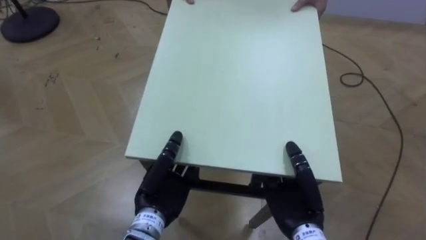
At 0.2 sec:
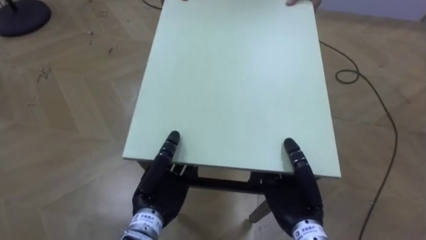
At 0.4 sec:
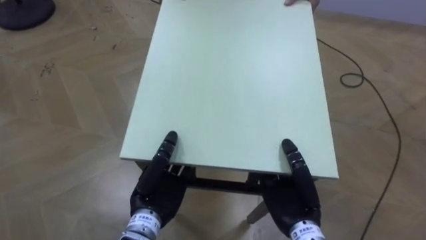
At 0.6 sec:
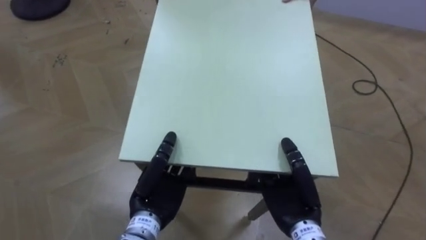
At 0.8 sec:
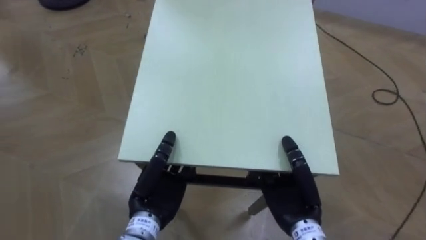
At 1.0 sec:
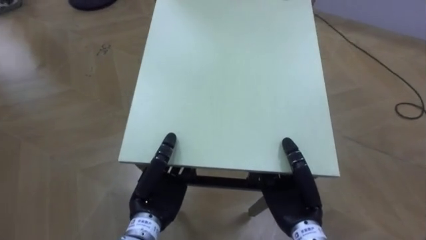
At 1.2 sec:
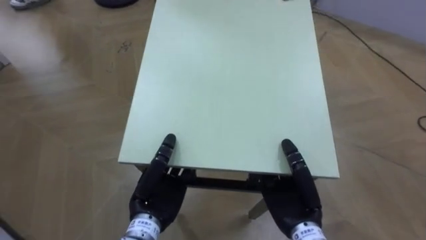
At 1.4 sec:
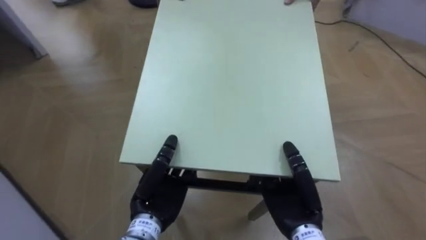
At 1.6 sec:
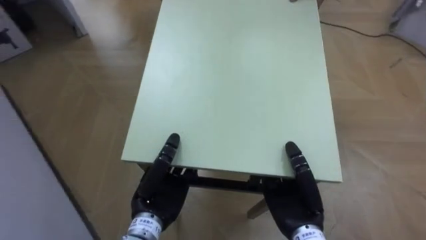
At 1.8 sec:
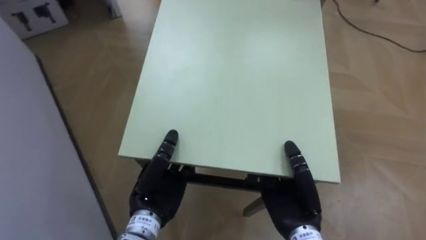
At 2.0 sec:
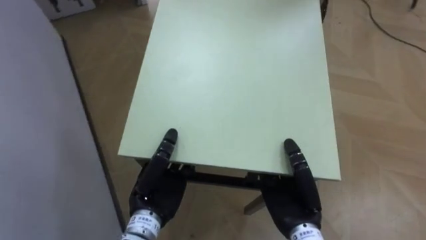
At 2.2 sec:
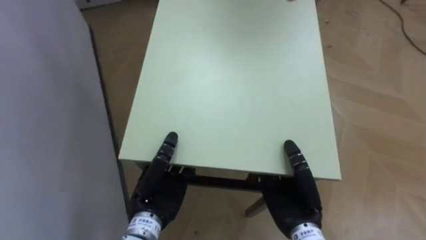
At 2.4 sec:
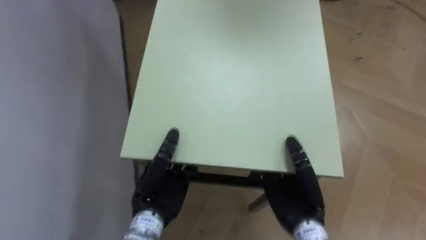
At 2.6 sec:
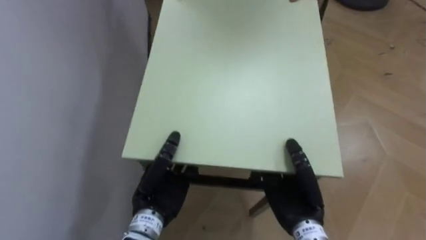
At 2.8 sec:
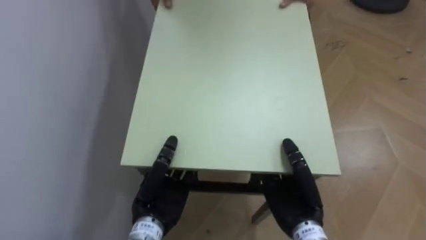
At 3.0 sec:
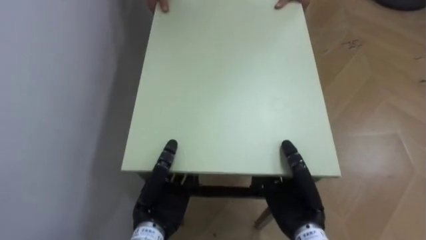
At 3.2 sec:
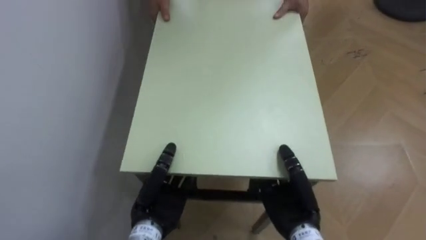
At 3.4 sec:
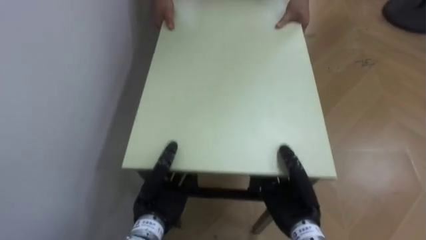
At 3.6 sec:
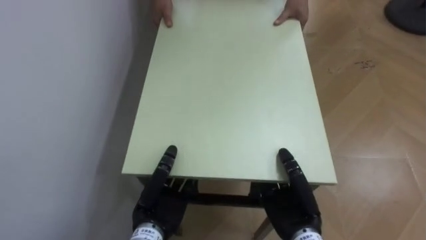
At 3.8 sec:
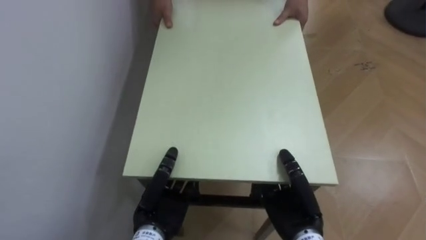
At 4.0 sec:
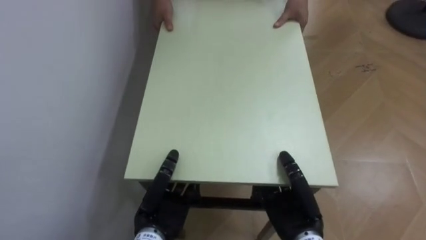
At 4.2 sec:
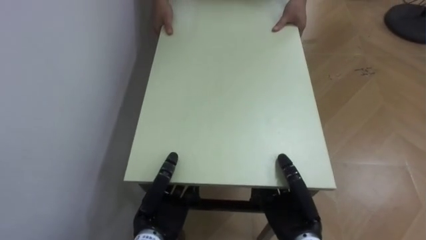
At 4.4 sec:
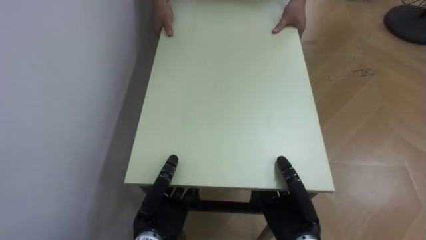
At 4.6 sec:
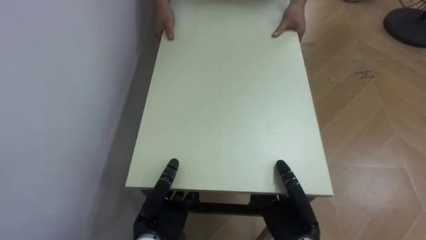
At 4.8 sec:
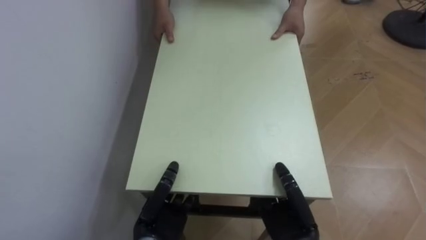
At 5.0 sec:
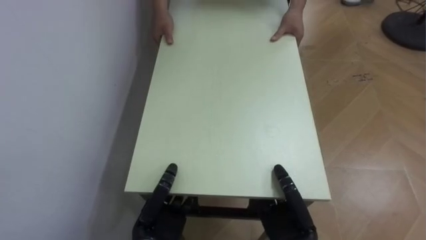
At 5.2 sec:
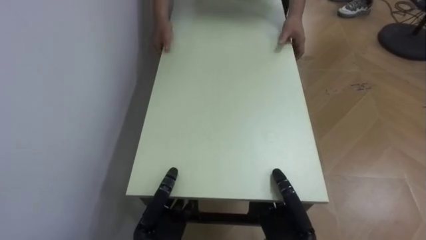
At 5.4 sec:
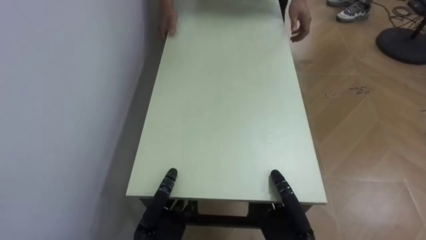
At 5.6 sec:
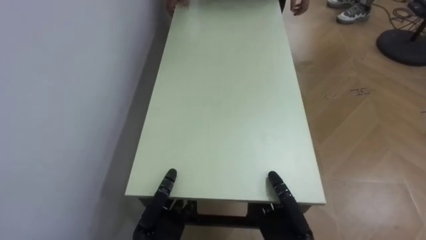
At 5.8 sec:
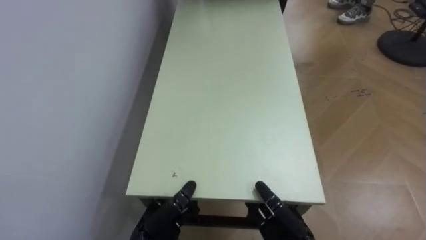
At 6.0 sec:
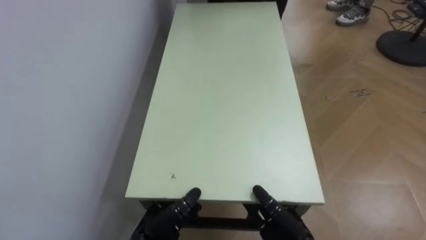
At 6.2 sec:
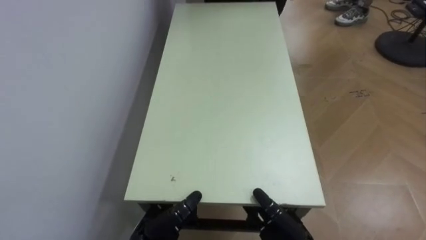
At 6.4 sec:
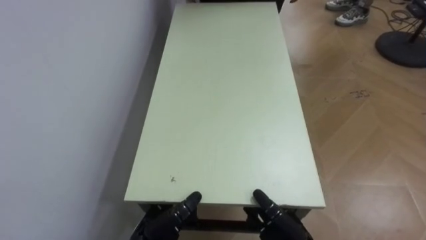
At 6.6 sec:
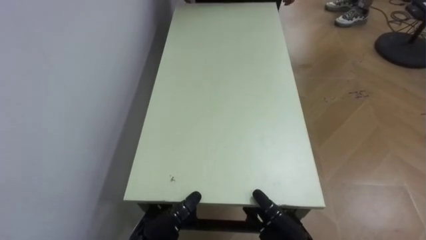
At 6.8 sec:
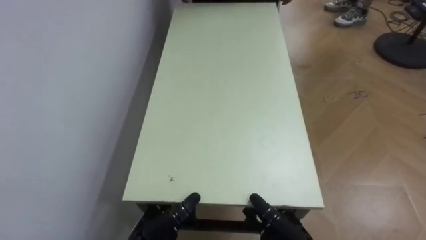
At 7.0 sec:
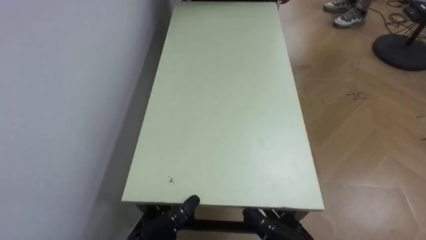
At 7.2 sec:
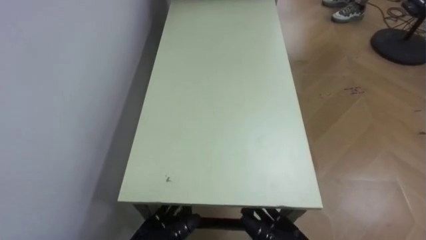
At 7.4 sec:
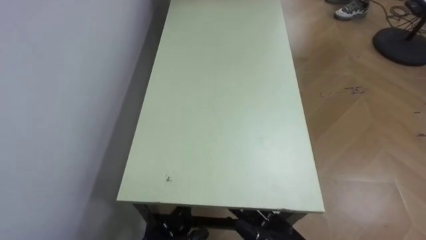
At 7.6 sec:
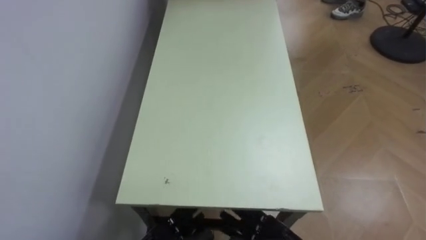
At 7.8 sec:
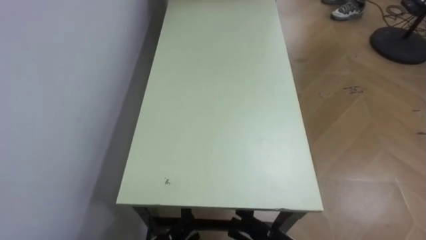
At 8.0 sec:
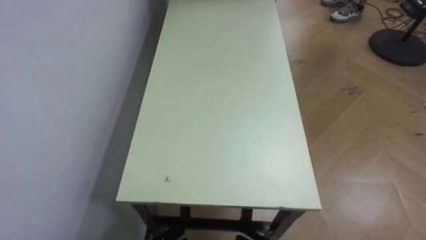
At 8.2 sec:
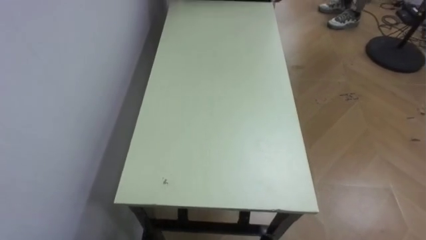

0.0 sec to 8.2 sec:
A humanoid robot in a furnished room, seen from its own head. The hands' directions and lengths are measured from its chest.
Task of the whole recording: Move the table to the back left with someone.
0.0 sec to 1.6 sec: The robot faces roughly 35 degrees further to its left.
1.6 sec to 3.2 sec: The robot turns to its left by about 40 degrees.
5.0 sec to 6.6 sec: The left hand moves about 5 cm, and opens up. Meanwhile the right hand opens.

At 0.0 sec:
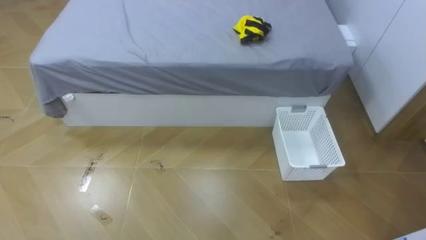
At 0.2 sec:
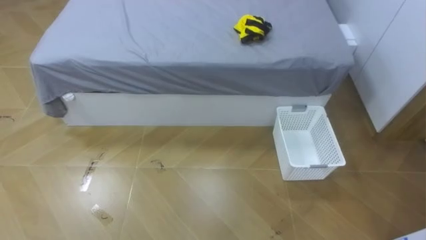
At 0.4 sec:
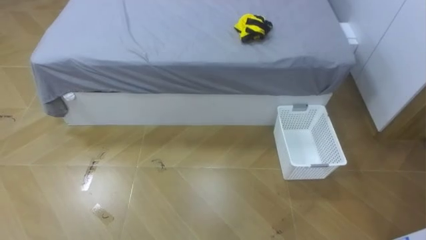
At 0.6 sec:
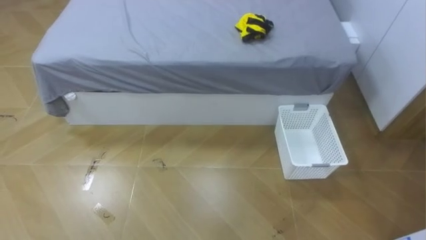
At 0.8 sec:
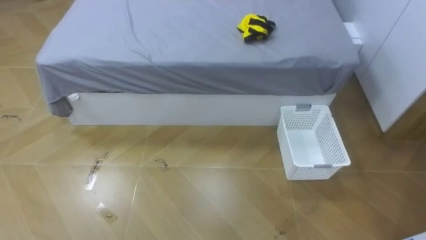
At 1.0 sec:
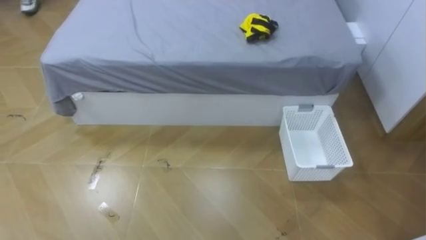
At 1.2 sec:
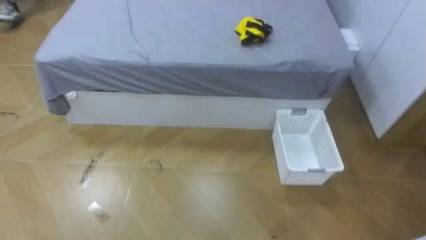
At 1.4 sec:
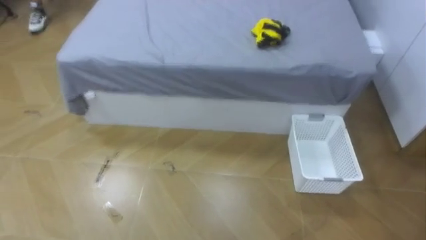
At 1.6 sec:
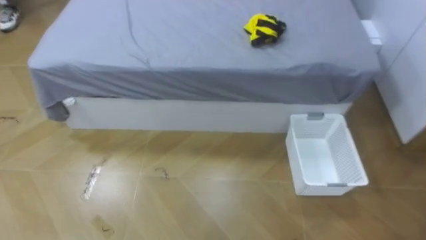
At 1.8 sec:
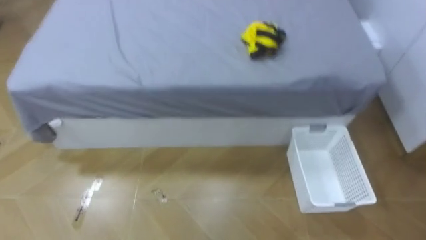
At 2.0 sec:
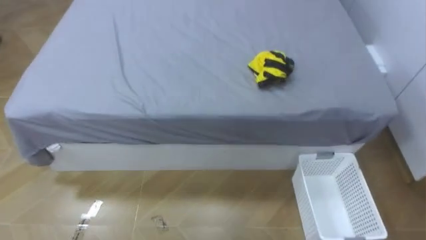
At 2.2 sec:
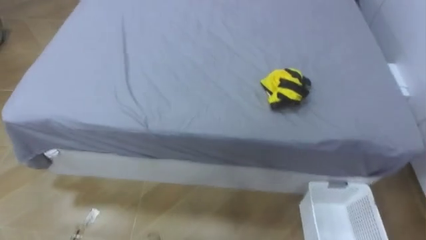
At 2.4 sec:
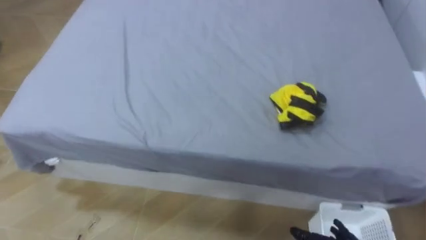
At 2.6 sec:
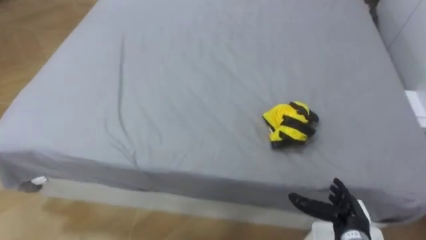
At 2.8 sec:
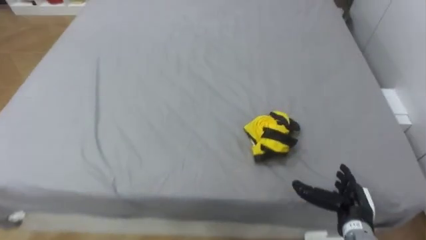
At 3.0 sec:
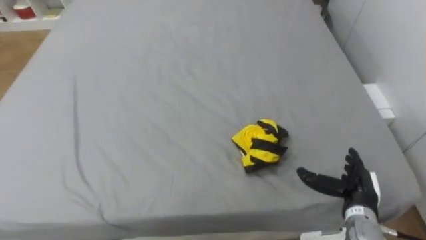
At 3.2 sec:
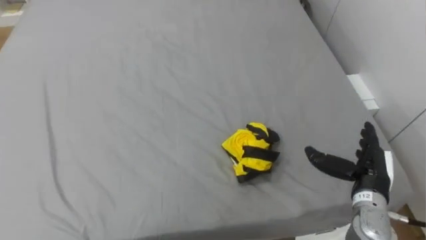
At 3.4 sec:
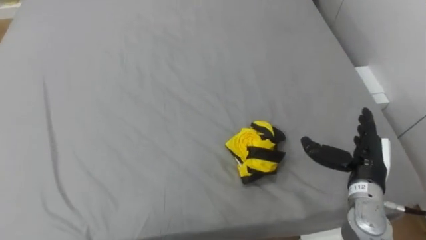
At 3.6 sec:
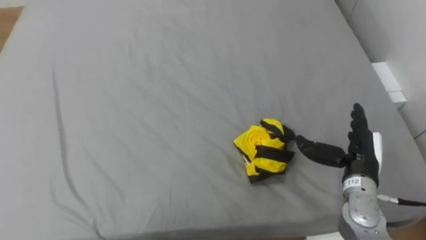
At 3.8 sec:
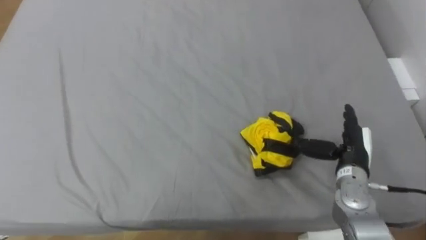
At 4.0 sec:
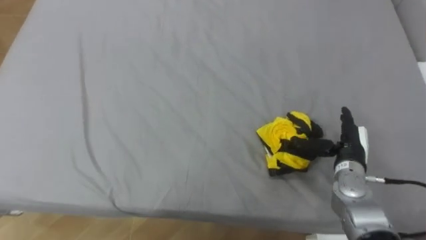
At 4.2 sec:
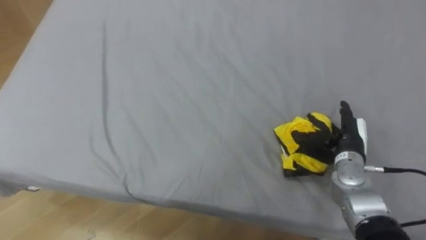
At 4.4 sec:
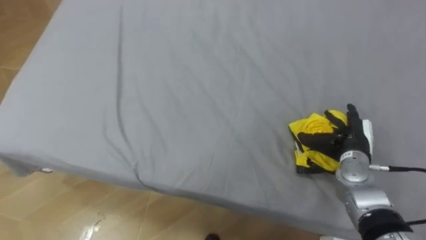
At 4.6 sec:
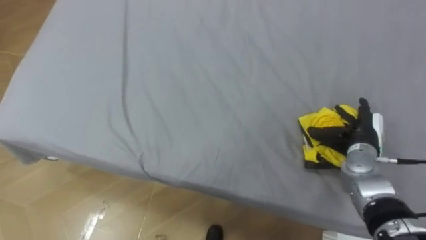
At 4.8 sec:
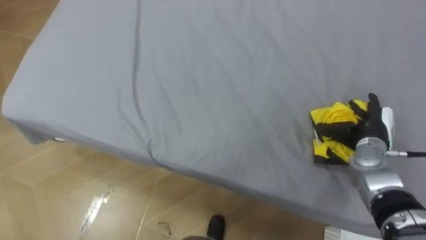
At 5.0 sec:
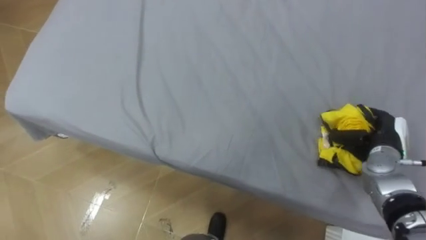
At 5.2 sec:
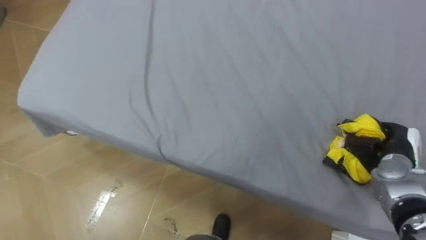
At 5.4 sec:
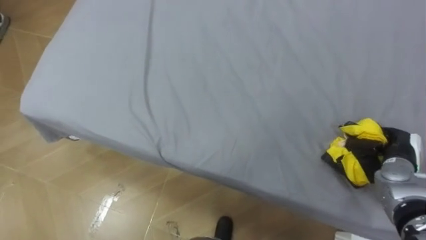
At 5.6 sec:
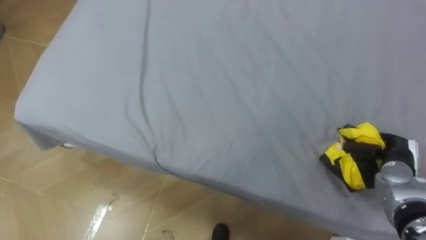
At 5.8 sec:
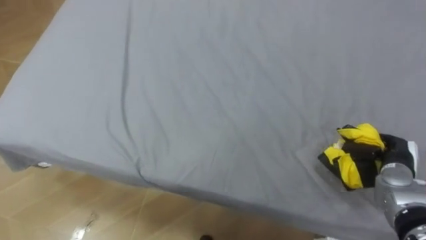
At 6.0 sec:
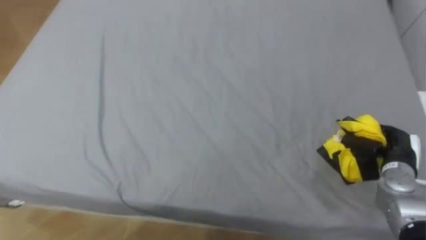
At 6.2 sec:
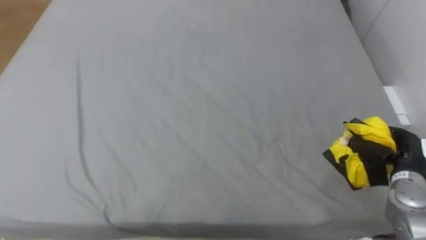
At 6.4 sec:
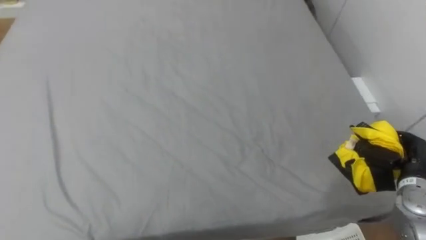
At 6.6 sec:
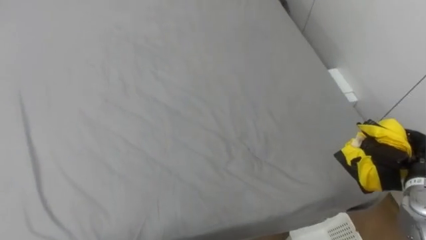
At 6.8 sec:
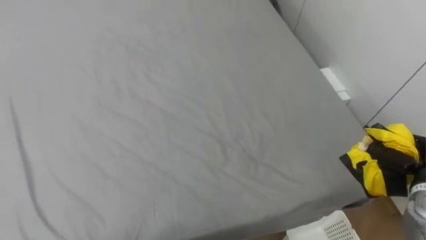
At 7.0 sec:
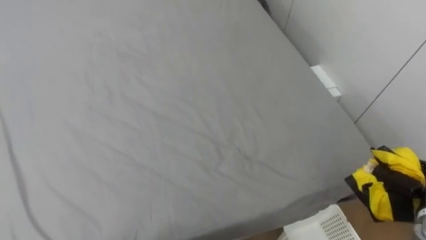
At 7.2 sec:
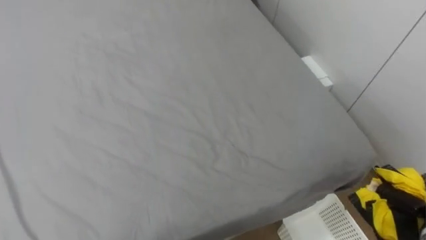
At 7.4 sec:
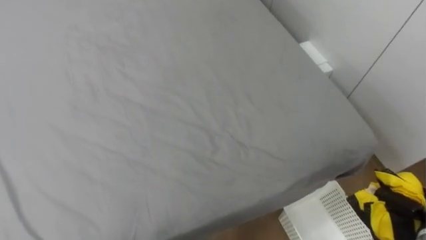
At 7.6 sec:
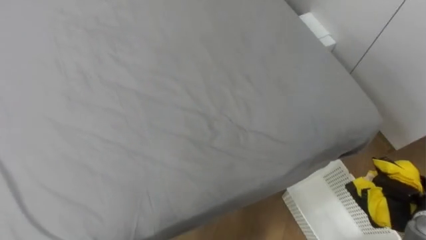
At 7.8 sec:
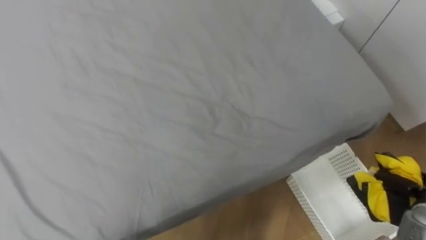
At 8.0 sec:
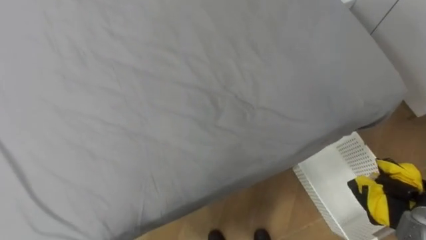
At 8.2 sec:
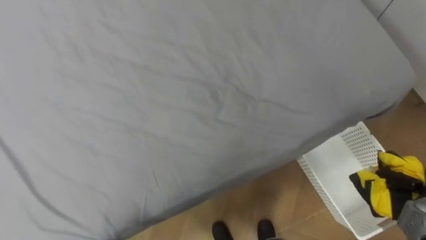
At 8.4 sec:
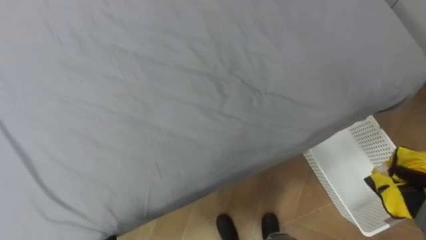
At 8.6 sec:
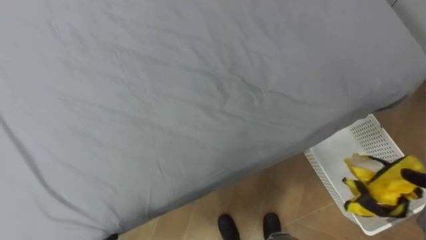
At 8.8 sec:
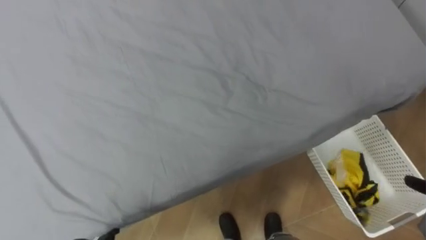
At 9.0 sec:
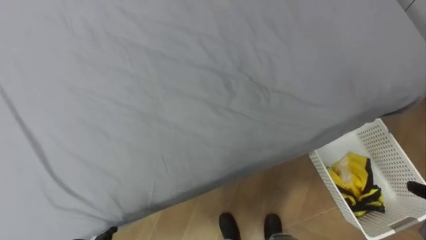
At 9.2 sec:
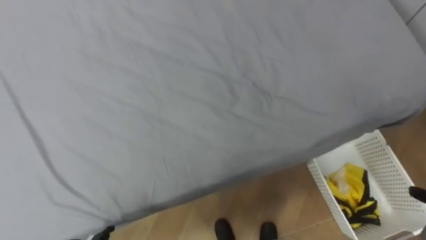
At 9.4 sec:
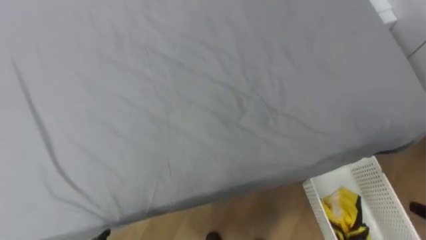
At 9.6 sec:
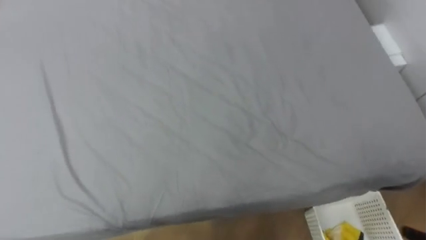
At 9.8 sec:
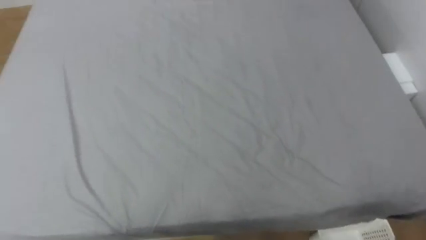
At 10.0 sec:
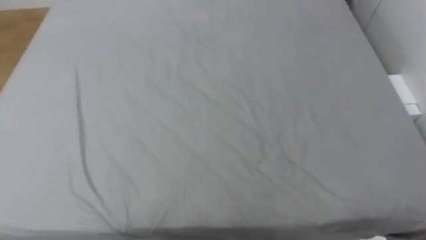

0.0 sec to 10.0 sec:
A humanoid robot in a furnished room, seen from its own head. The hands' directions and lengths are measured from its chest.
Task of the whole recording: Pick up the yellow clothes on the bed and place them into the white basket on the right.
2.8 sec to 4.2 sec: The right hand moves forward and upward, approximately 15 cm.
4.2 sec to 5.8 sec: The right hand heads to the right, covering some 10 cm, and closes its fingers.
8.6 sec to 10.0 sec: The robot's body swings approximately 20 degrees to its left.
